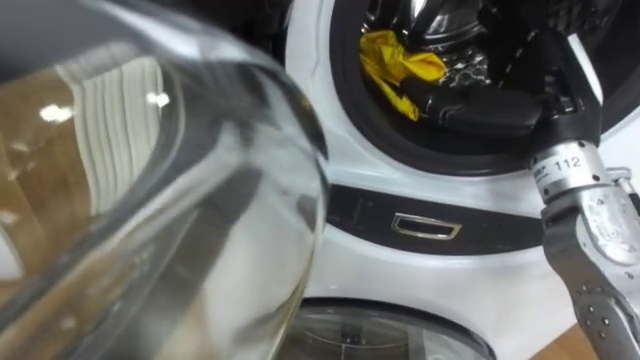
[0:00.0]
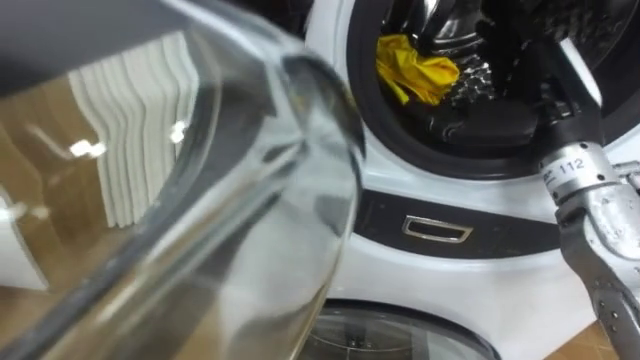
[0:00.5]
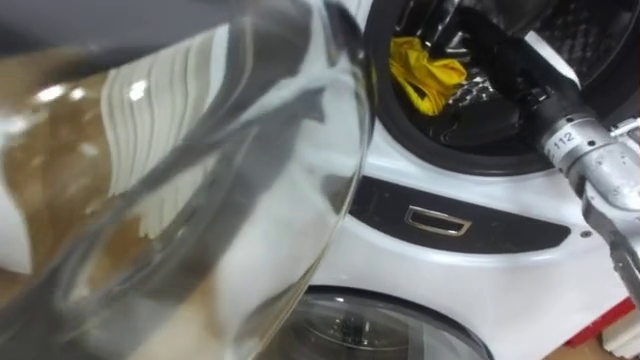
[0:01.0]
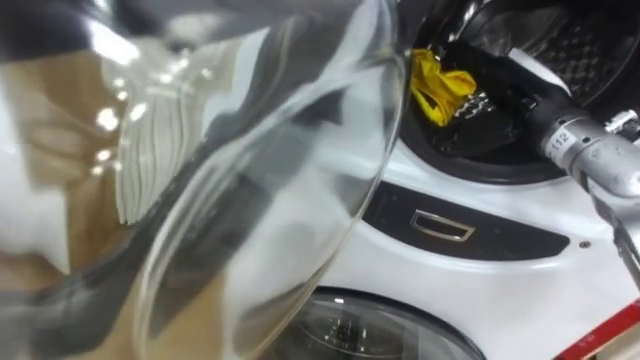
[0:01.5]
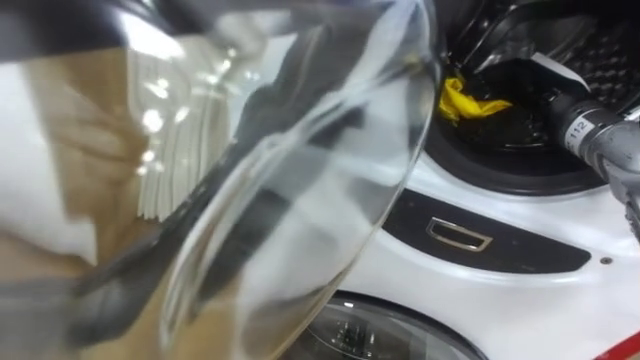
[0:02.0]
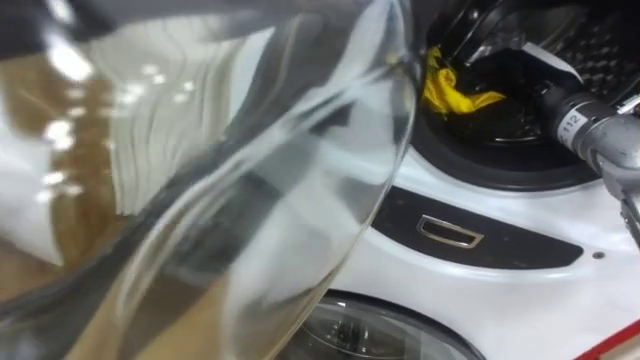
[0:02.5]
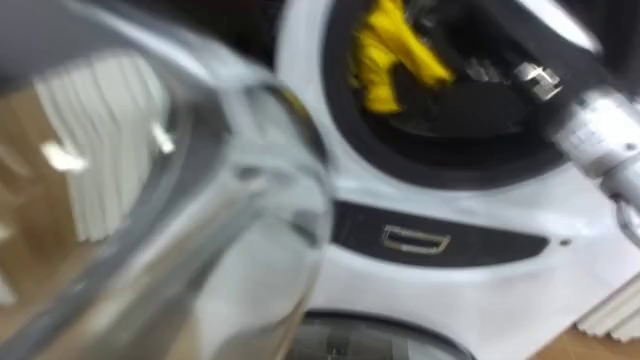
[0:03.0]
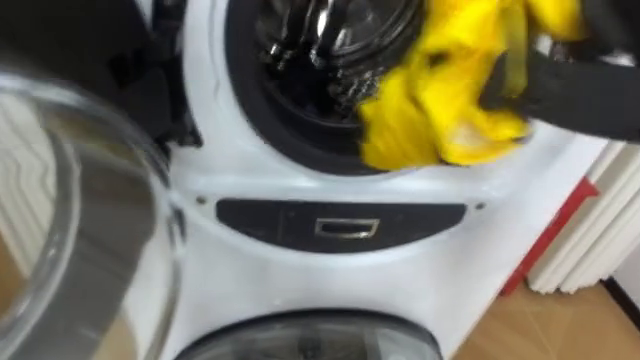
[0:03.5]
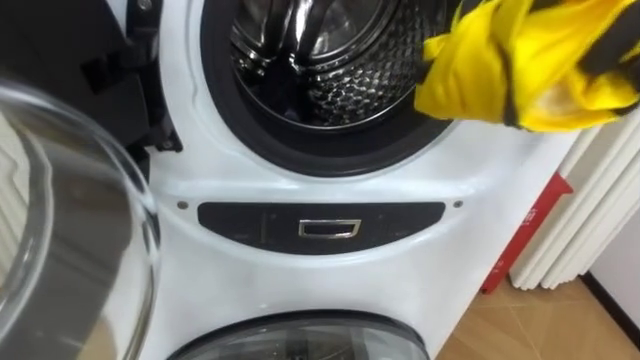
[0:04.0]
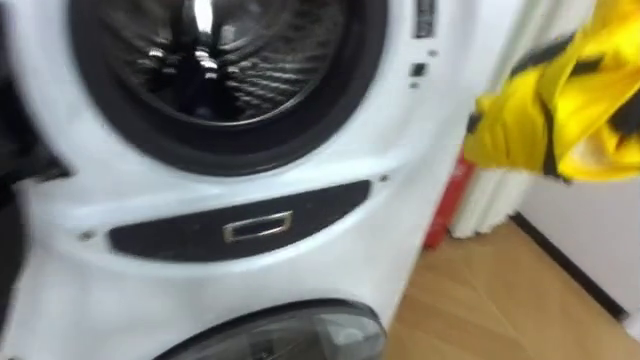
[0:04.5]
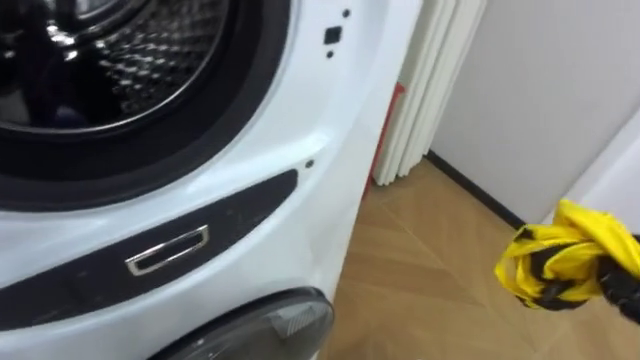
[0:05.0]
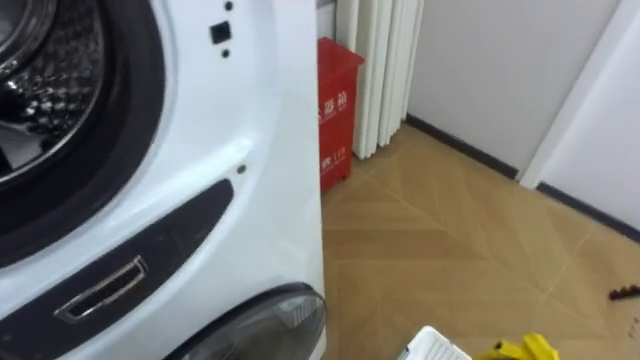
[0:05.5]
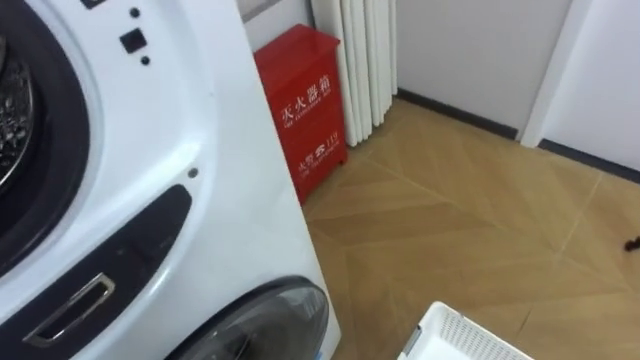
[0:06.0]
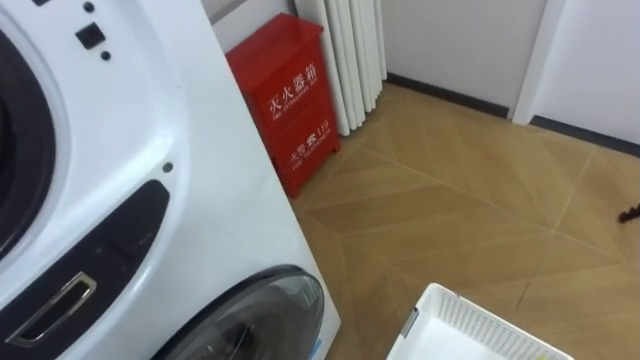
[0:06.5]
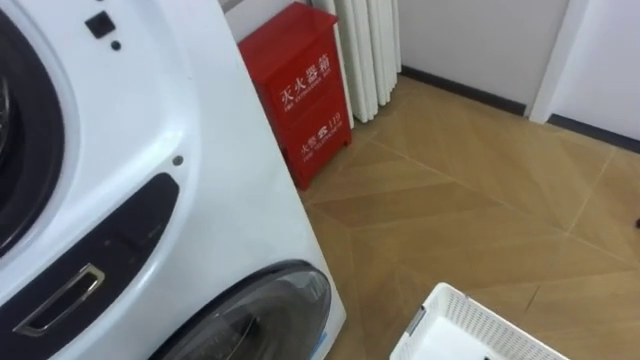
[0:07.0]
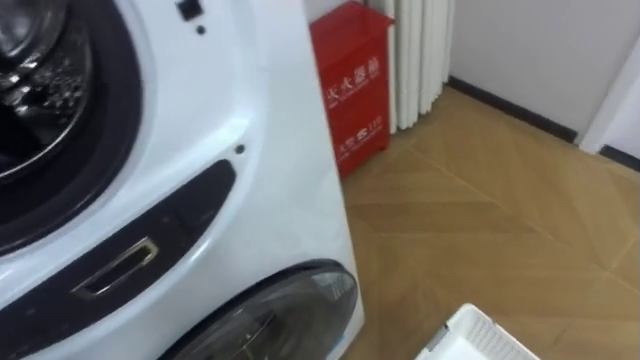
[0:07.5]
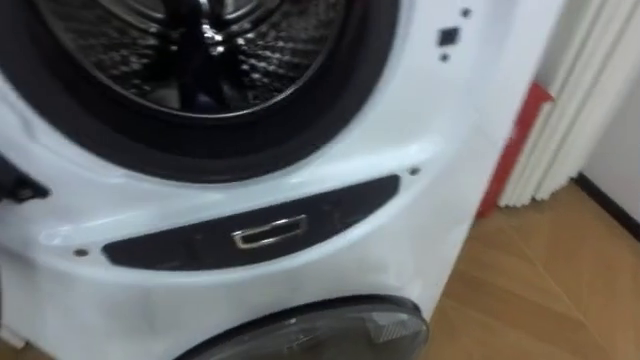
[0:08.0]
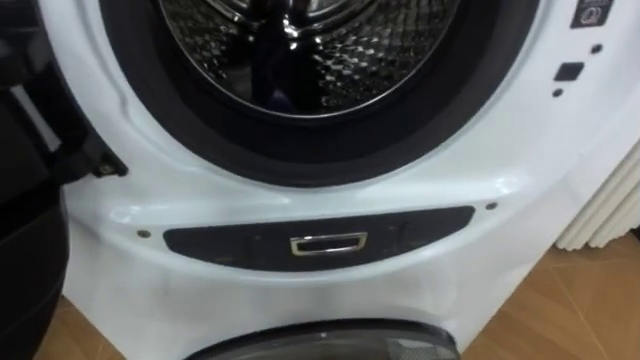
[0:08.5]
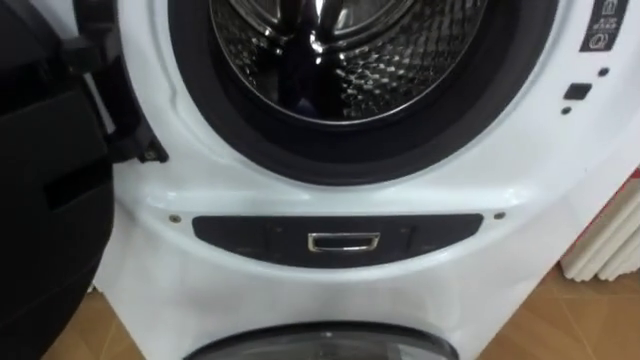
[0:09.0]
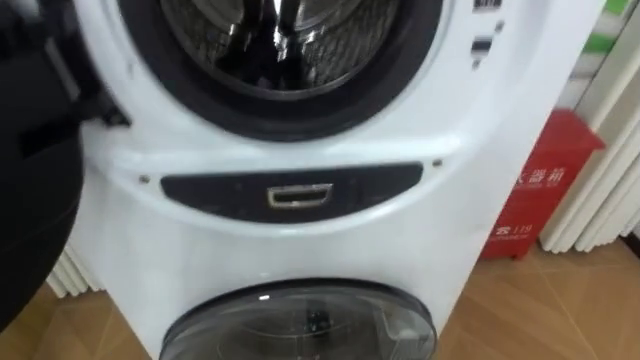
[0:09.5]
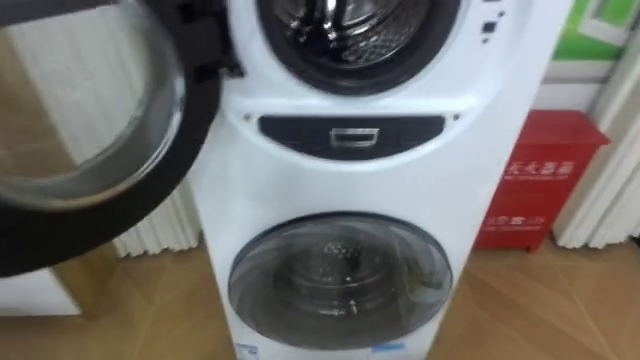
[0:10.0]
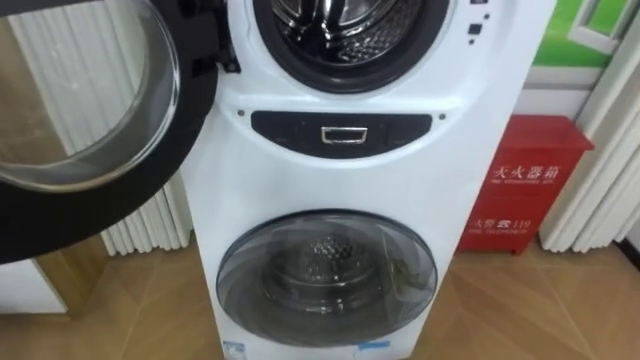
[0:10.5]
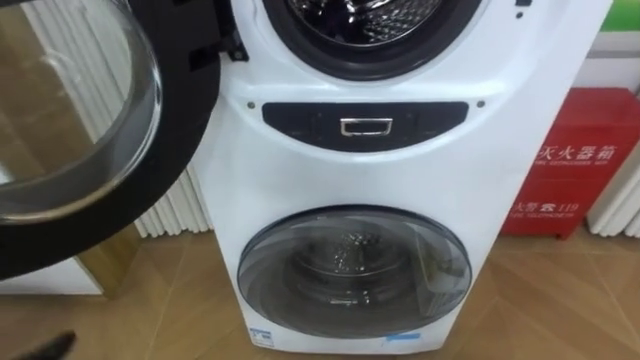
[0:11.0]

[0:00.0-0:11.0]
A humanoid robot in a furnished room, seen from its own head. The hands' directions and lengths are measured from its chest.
Task of the whole recording: Open the washing machine door, take out the yellow clothes, place them in the box on the right, and close the washing machine door.
0:00.0 to 0:02.0: The right hand is displaced forward and downward by about 10 cm, and closes its fingers.
0:03.5 to 0:05.5: The robot faces about 30 degrees further to its right.

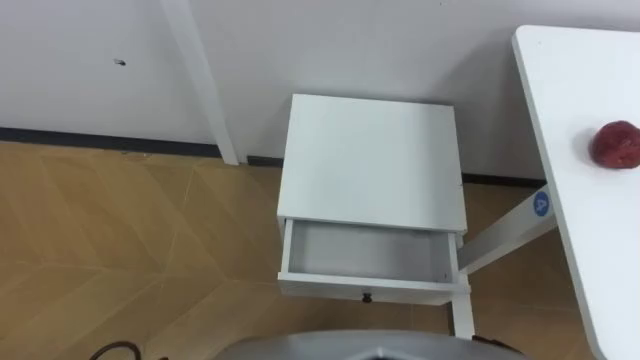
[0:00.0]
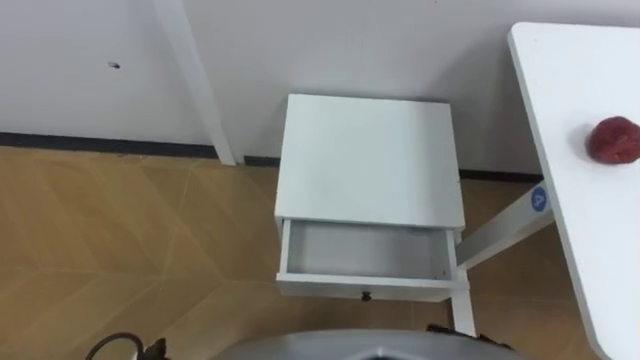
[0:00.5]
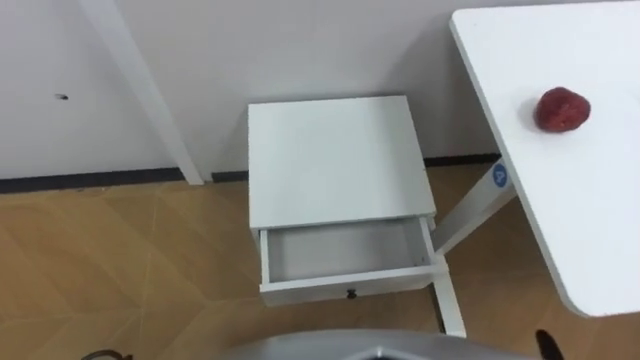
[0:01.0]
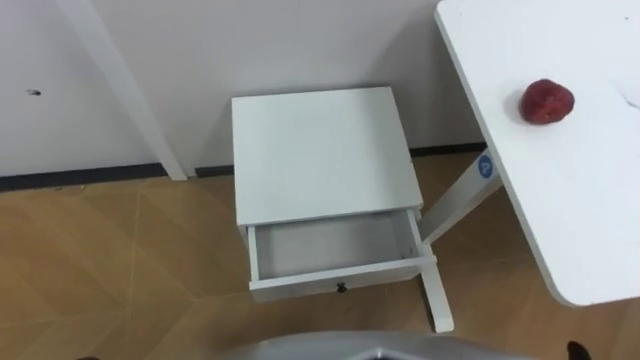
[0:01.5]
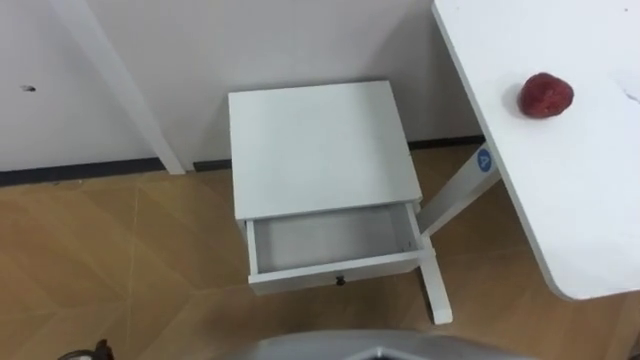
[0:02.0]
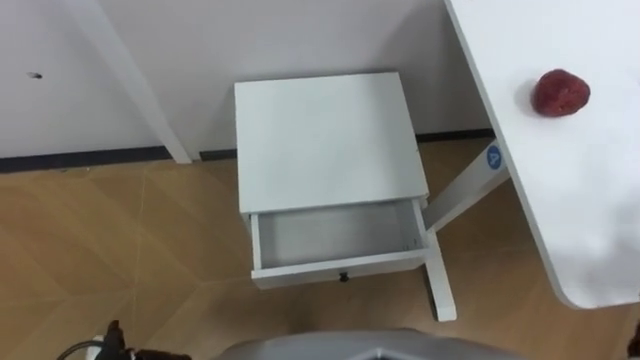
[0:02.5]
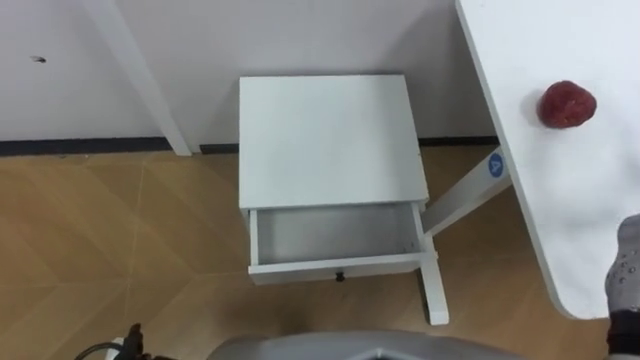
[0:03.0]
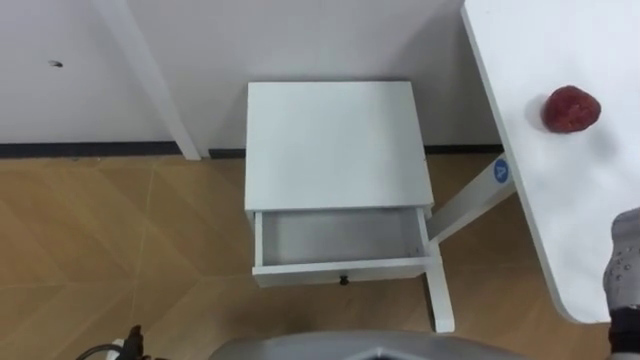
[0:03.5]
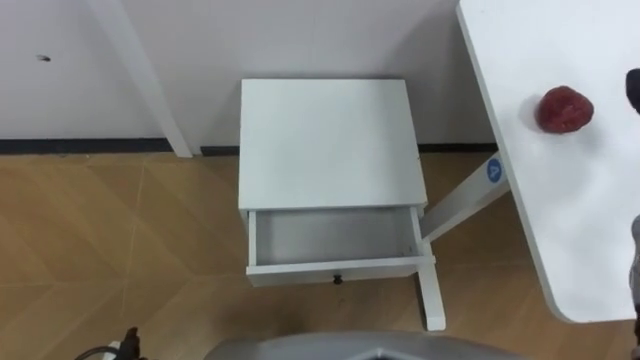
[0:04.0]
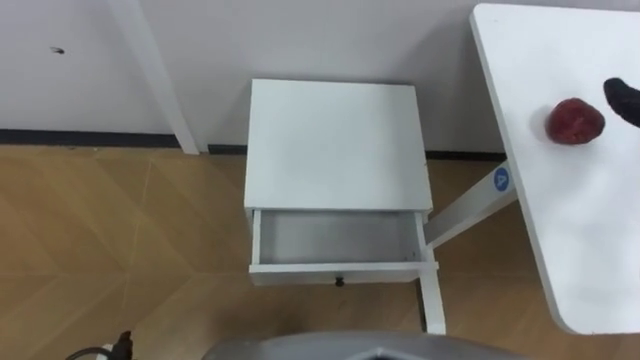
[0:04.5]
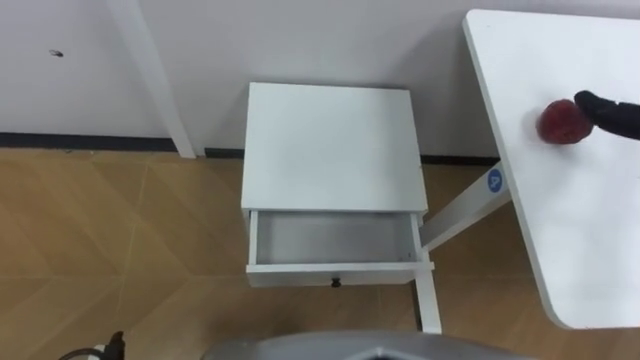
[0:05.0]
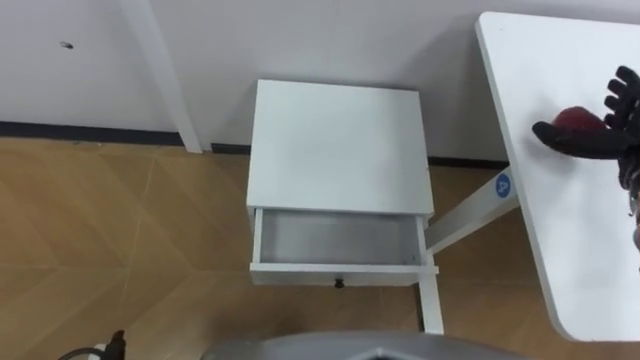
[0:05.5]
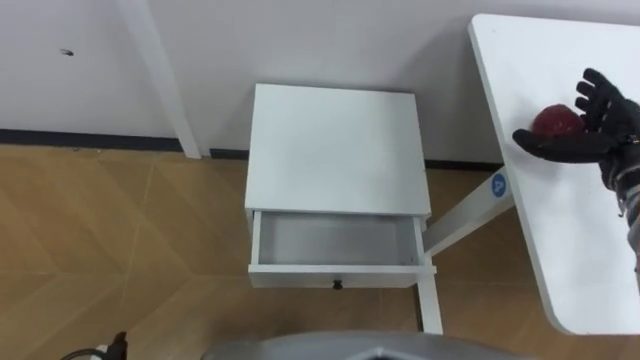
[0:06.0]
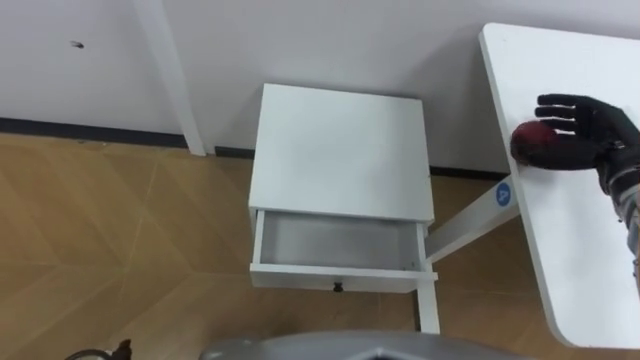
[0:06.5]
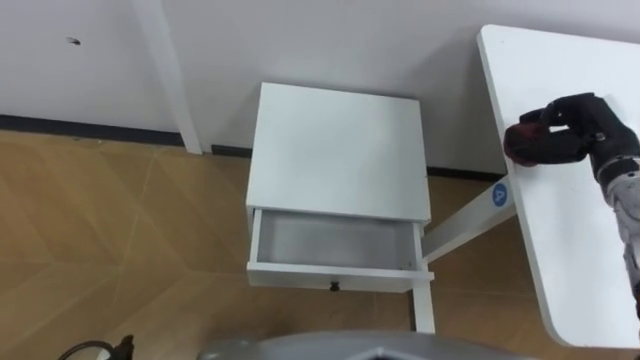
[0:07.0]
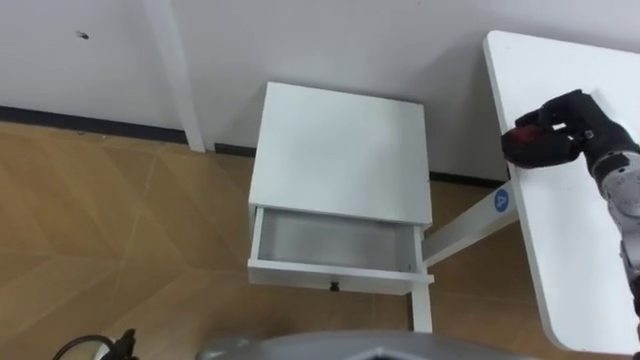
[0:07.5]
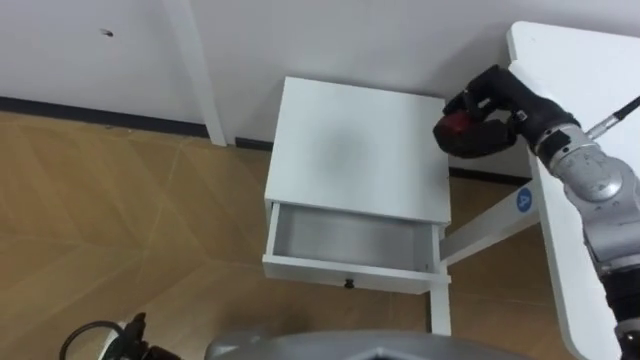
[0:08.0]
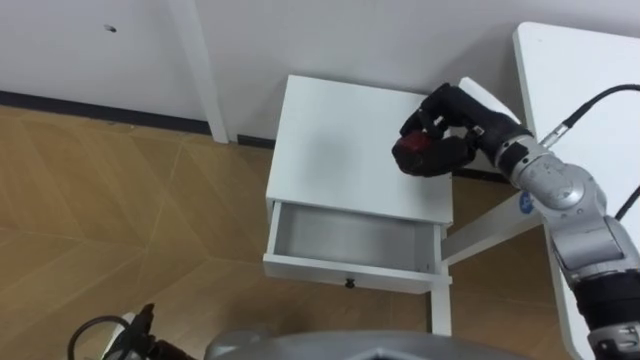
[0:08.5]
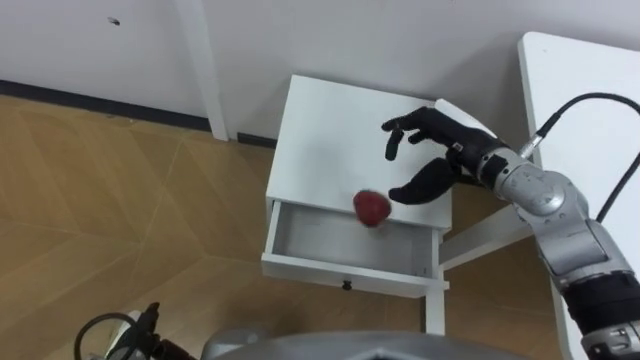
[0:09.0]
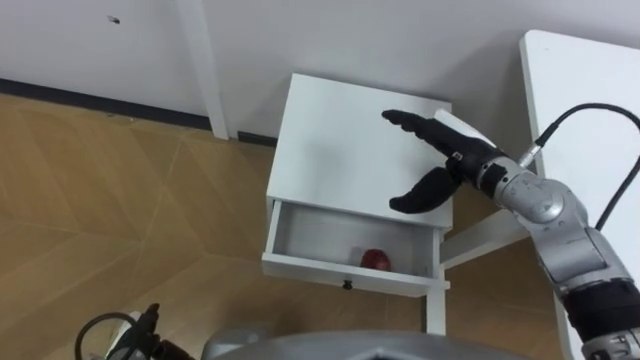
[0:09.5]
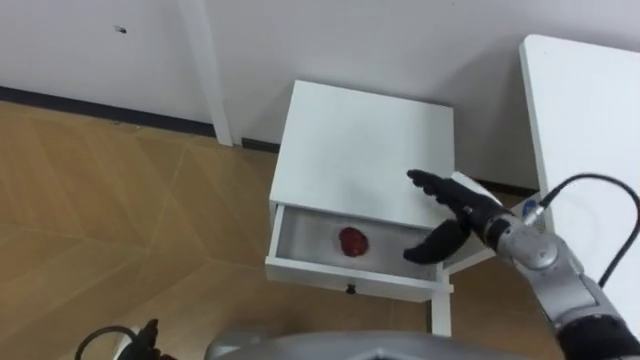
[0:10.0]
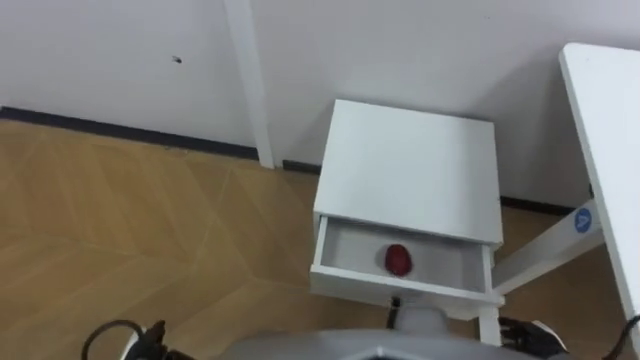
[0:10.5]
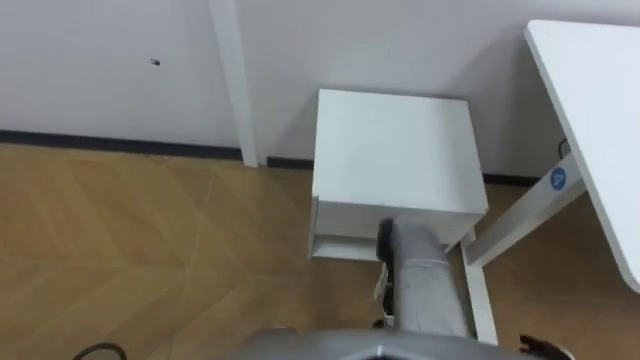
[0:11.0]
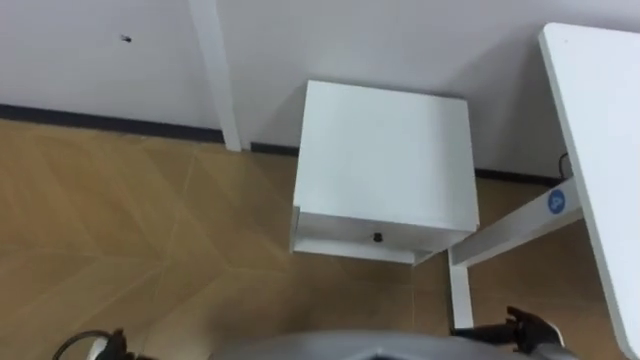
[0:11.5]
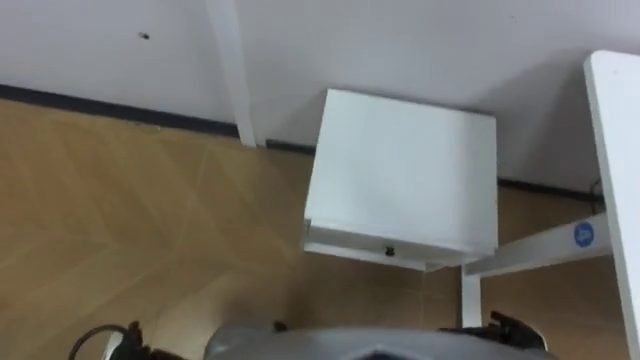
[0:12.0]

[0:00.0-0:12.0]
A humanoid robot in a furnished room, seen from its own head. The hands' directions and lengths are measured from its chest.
Task of the whole recording: Pick up the apple from the table, put it in the drawer, and close the drawer with leg.
0:06.0 to 0:08.0: The right hand shifts roughly 10 cm to the left, and closes up.
0:08.0 to 0:10.0: The right hand is displaced downward and backward by about 15 cm, and opens.
